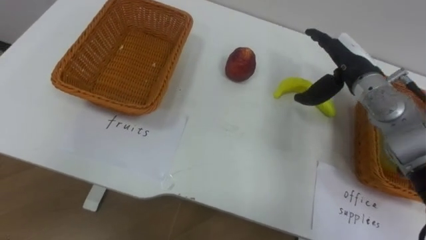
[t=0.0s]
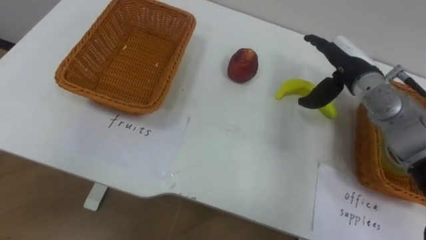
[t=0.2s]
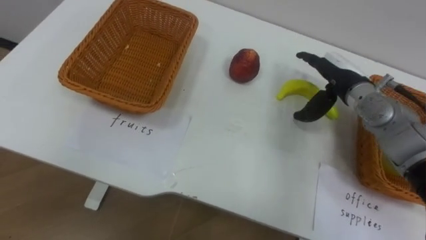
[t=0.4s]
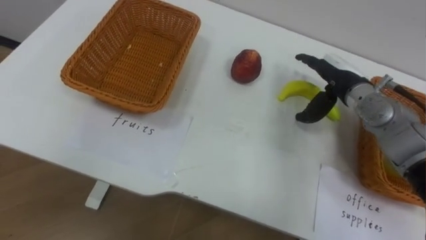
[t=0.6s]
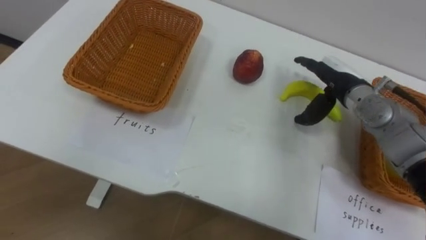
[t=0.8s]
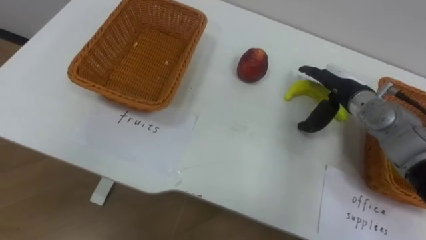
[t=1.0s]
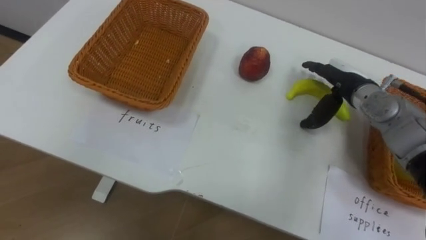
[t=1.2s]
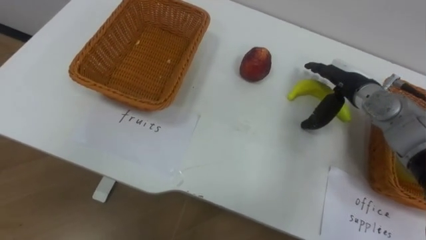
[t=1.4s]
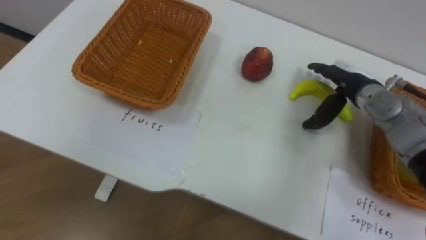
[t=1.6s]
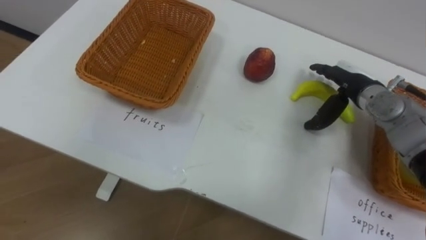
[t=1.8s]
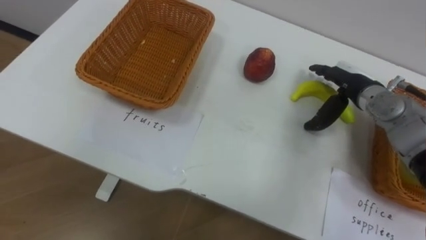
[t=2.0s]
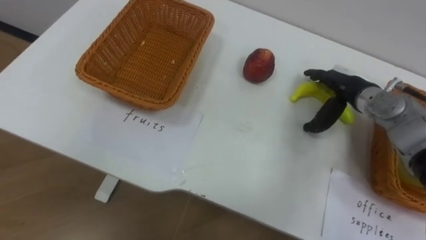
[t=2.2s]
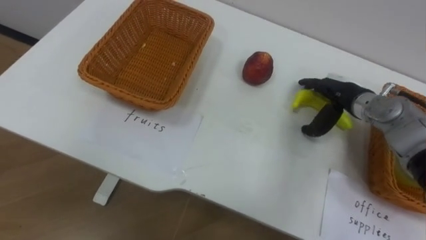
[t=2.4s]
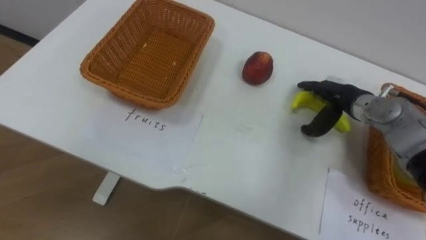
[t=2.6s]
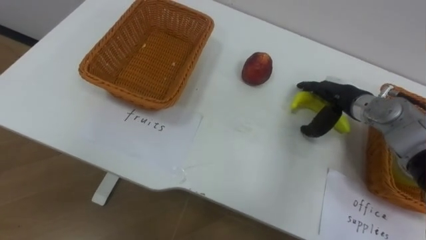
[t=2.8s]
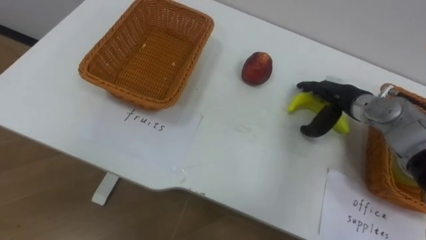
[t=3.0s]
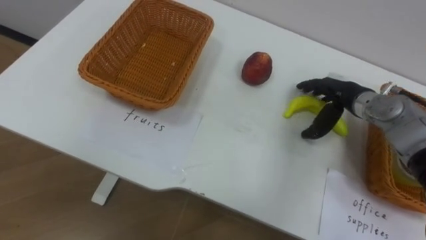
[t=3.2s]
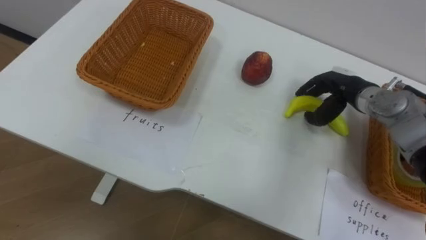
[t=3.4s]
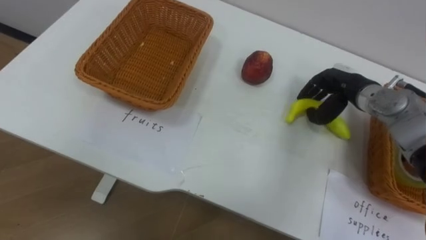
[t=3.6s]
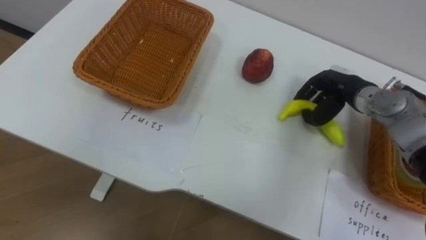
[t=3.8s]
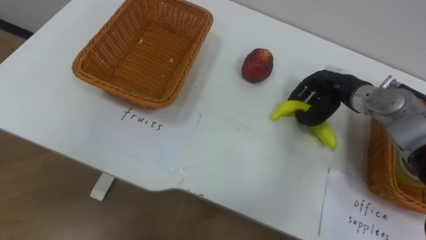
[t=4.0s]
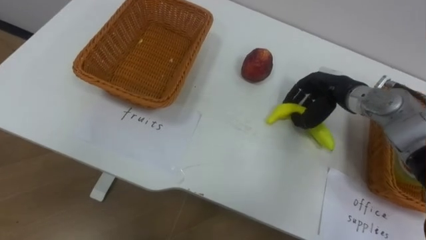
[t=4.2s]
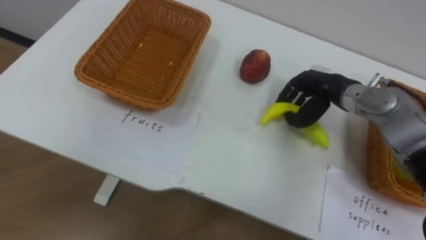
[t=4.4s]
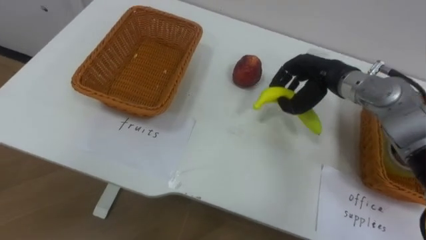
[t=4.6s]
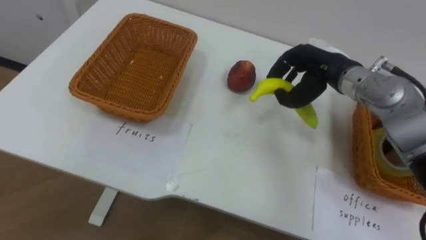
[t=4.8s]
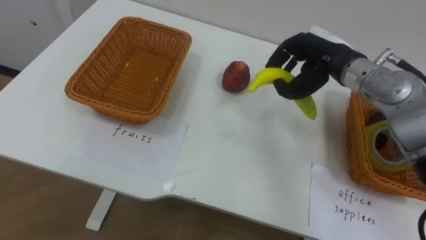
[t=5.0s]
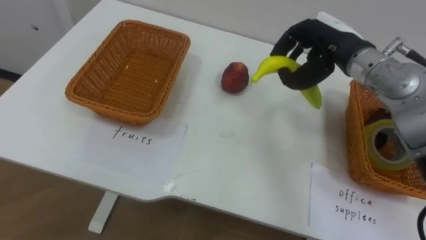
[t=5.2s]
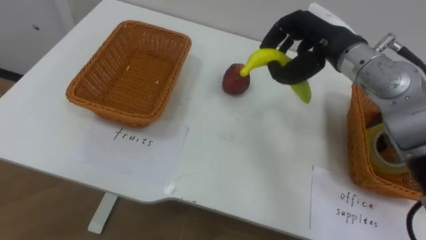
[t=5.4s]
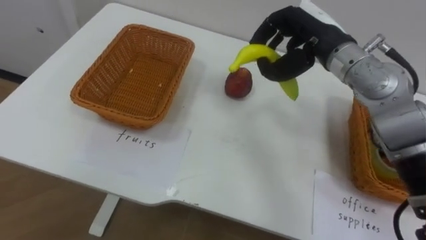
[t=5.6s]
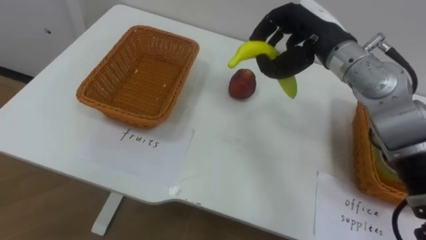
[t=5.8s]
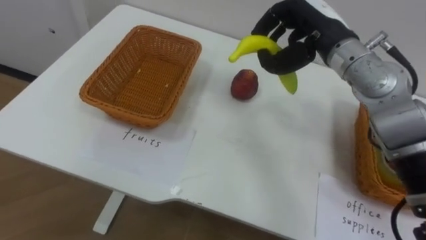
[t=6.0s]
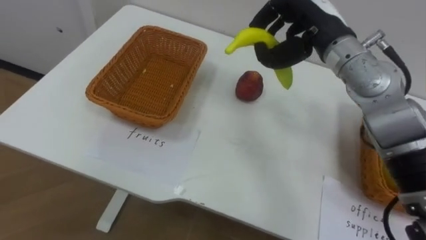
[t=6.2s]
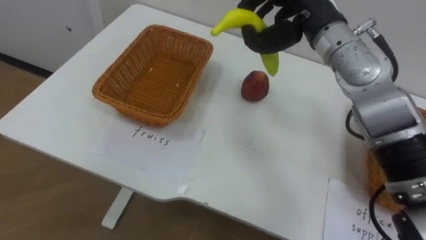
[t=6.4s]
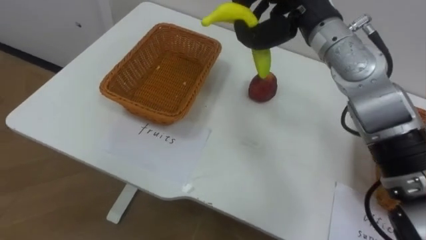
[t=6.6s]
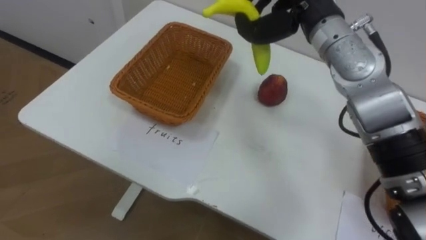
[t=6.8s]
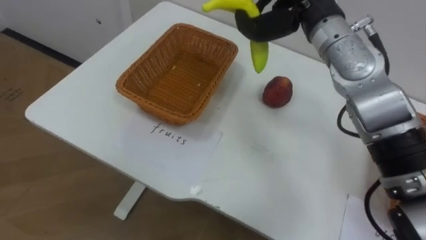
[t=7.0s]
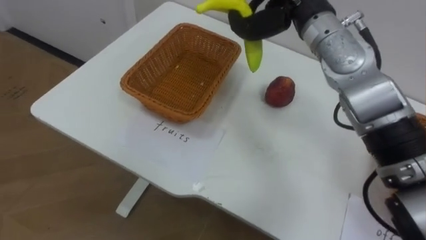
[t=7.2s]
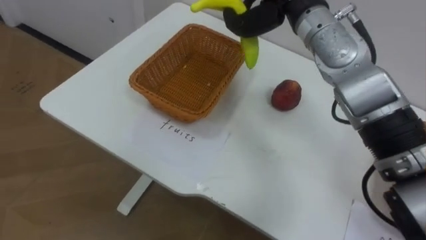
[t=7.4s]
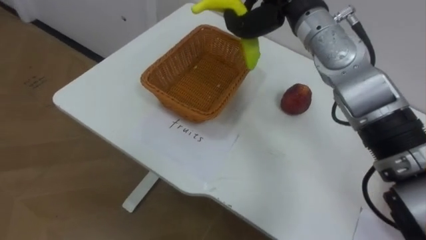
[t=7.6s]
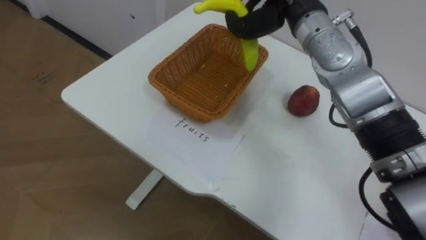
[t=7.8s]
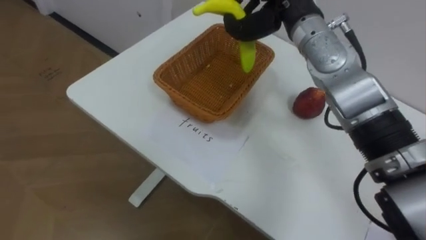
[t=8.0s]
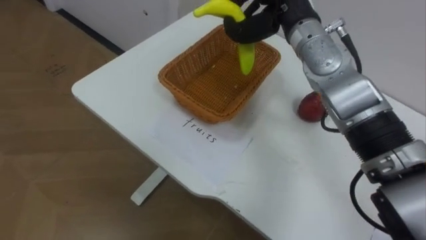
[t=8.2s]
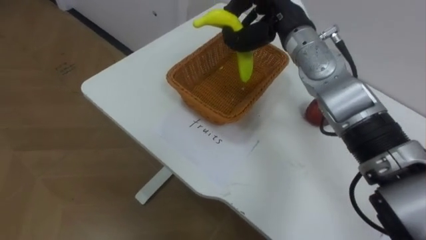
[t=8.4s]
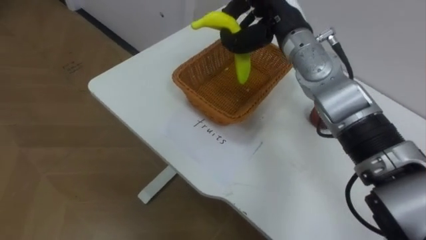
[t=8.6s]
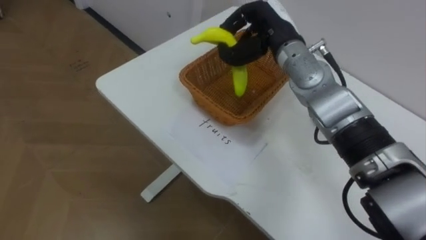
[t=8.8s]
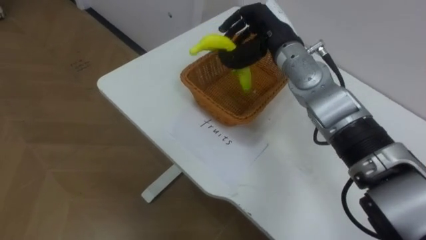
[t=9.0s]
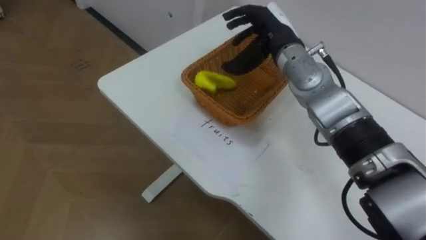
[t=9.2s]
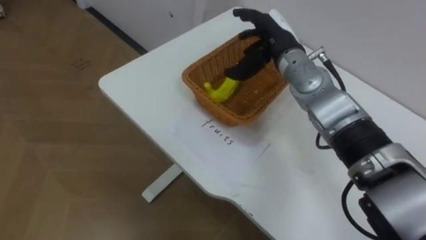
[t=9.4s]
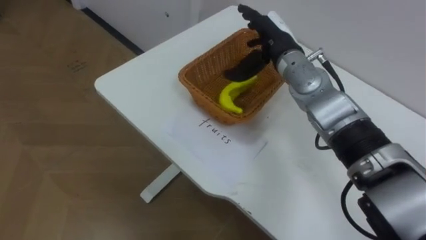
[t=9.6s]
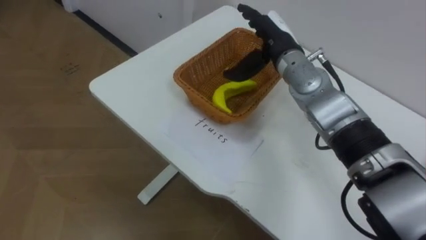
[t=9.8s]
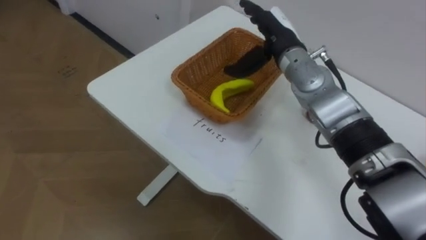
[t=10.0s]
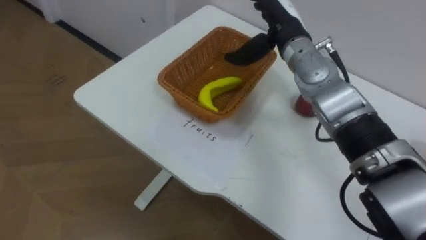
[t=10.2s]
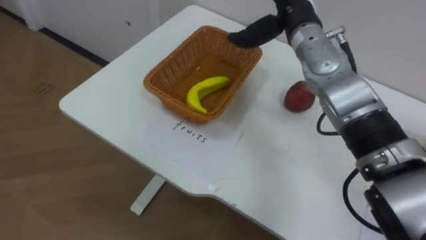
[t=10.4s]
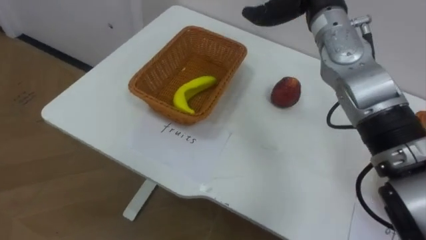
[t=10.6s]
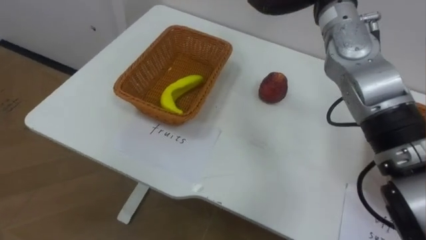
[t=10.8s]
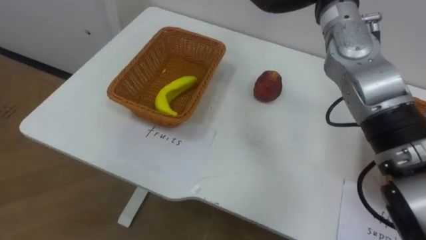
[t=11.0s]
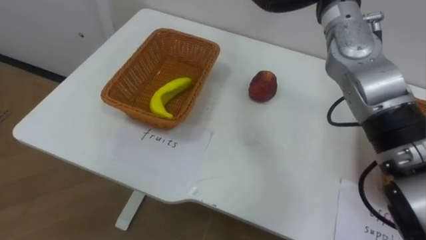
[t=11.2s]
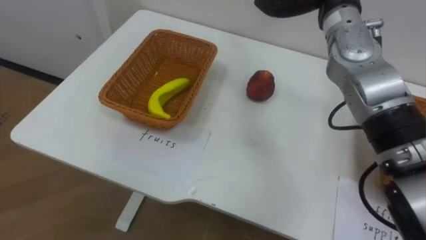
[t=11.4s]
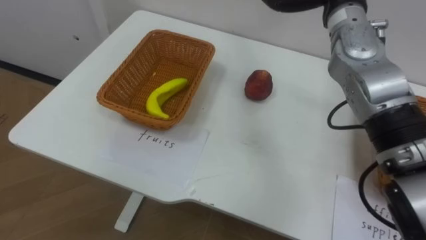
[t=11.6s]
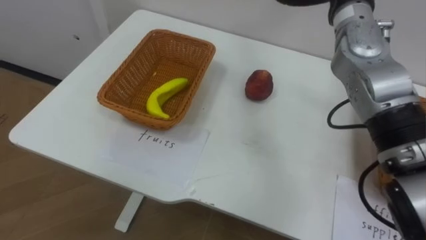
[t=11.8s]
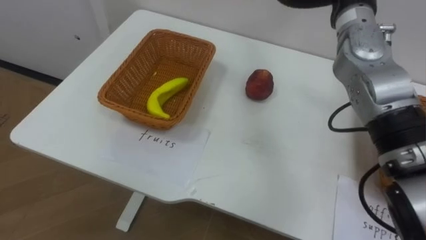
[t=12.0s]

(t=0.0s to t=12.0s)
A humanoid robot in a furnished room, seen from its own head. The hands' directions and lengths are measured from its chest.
Task of the whole recording: Separate the items on the table and place them into the two baskets.
t=0.0s - t=1.6s: The right hand changes place by roughly 5 cm.
t=3.0s - t=4.4s: The right hand closes up.
t=4.4s - t=6.0s: The right hand heads upward and to the left, covering roughly 15 cm.
t=9.0s - t=10.4s: The right hand opens.

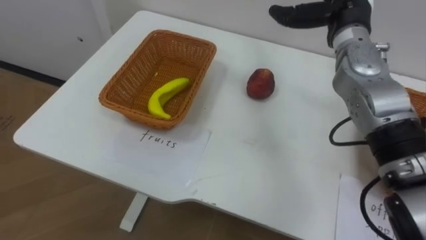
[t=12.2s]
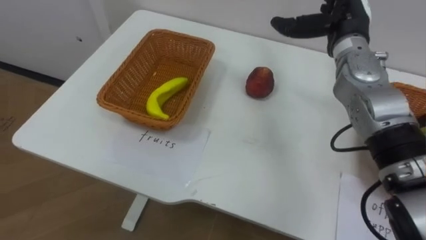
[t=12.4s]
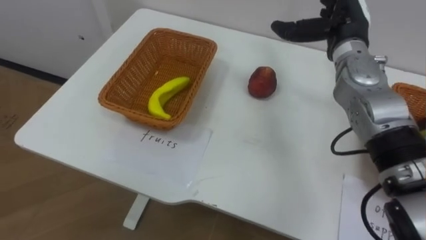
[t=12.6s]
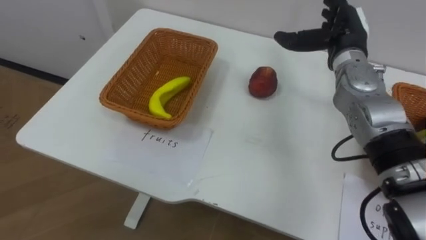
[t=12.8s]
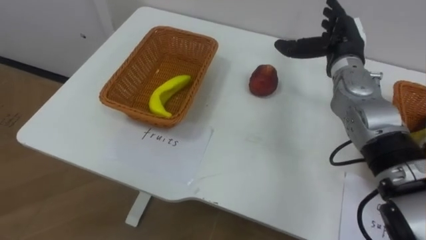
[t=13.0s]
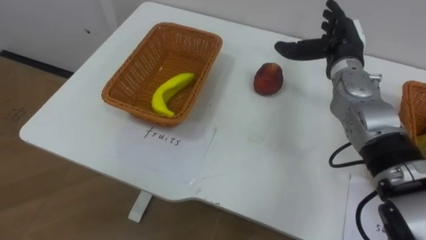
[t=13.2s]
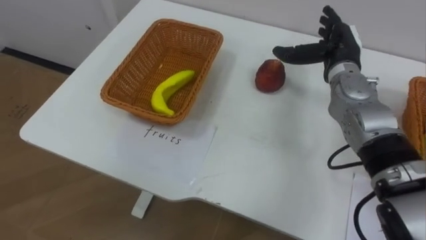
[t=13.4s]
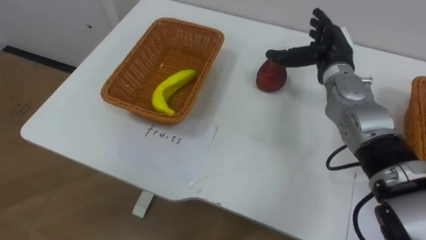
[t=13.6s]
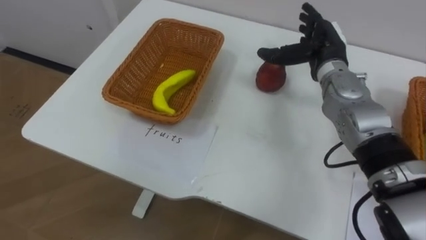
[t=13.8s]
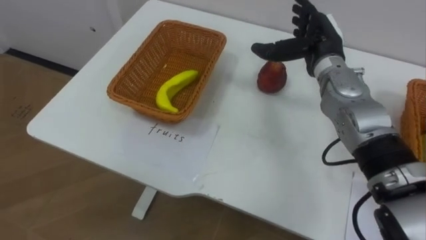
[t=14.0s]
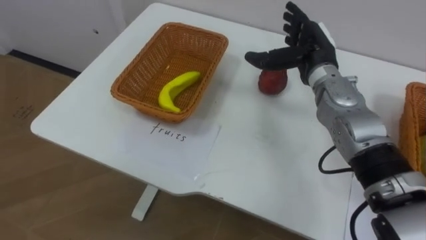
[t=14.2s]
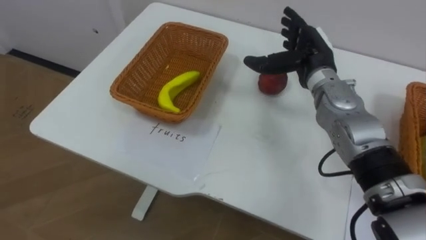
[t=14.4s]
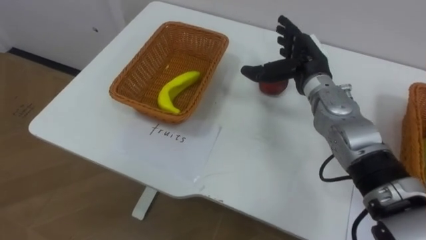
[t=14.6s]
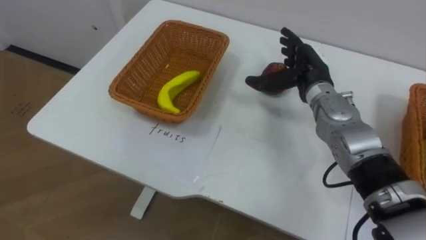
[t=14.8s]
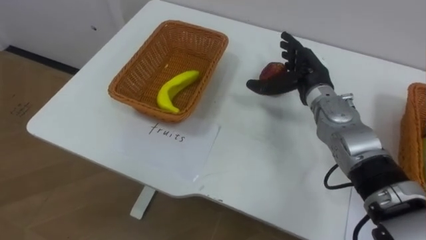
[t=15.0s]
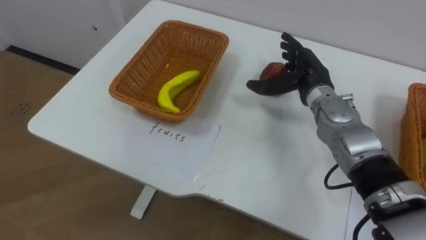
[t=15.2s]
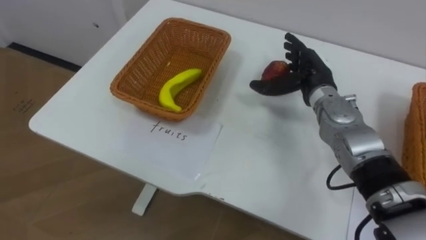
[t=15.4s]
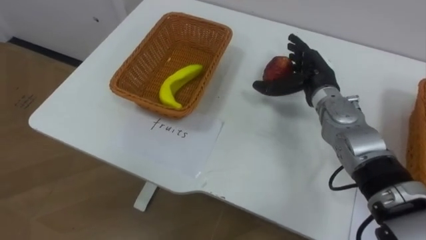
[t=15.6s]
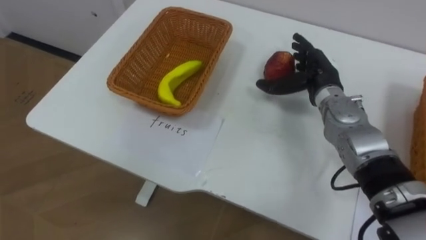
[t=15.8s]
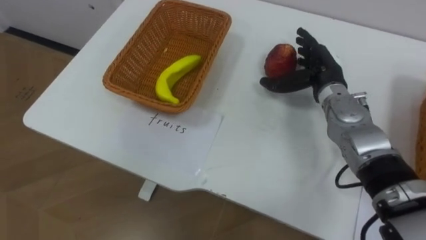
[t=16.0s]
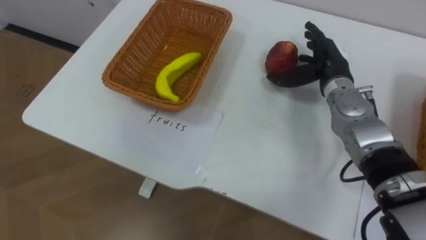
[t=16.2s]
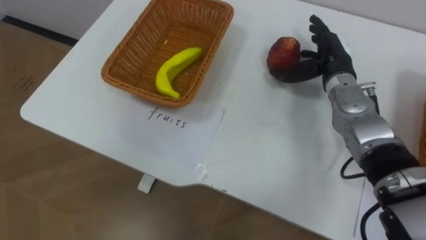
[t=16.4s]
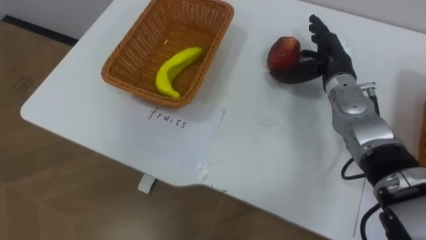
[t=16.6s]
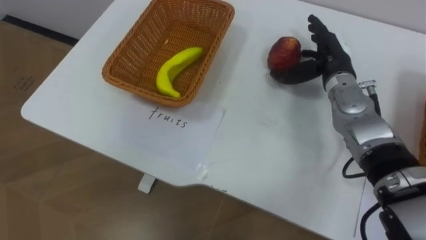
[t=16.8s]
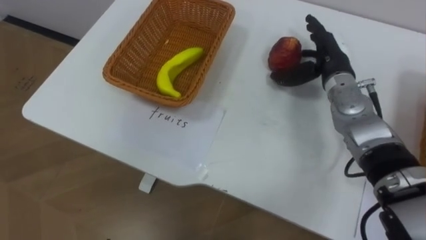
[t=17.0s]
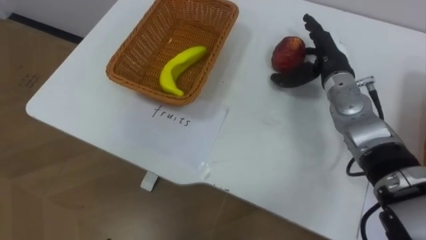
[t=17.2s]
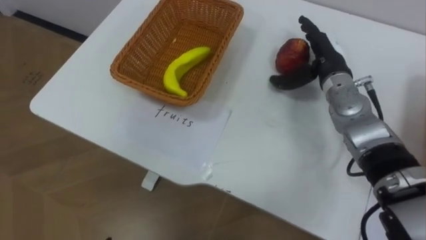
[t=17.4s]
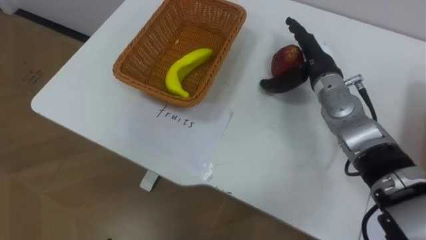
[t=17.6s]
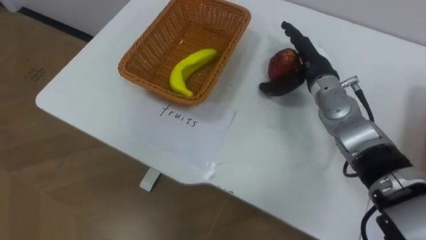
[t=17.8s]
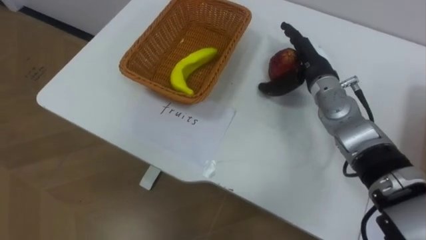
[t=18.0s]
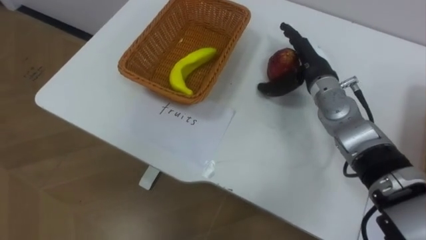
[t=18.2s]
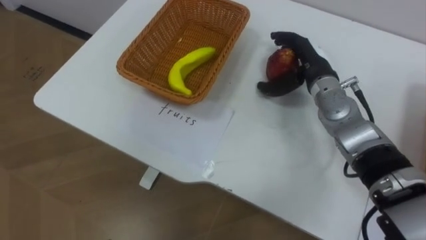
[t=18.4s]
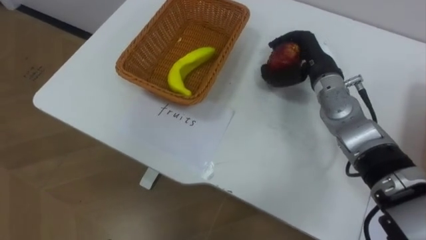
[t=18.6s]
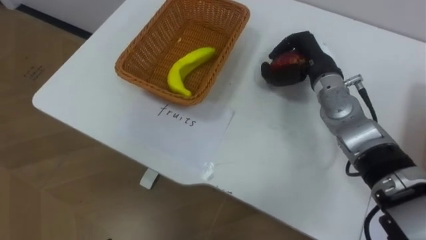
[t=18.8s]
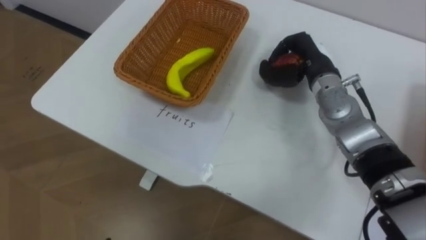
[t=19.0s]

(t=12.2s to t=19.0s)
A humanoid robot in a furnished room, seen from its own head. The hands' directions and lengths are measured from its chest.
Task of the whole recording: Separate the items on the table and place them into the two baskets.
t=12.2s - t=13.6s: The right hand moves downward, about 10 cm.
t=13.6s - t=15.0s: The right hand changes place by some 5 cm.
t=17.6s - t=19.0s: The right hand closes up.
